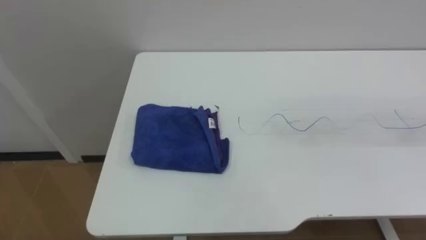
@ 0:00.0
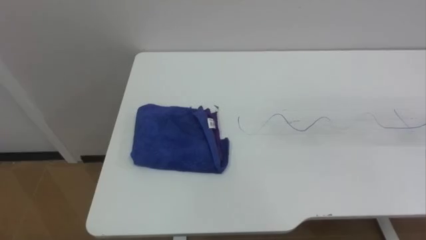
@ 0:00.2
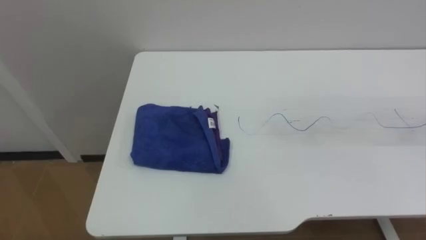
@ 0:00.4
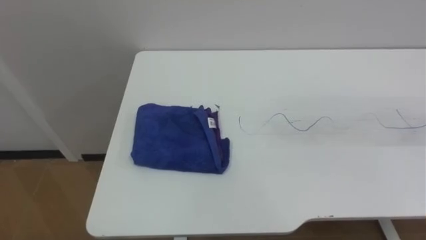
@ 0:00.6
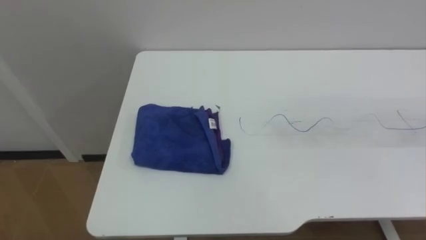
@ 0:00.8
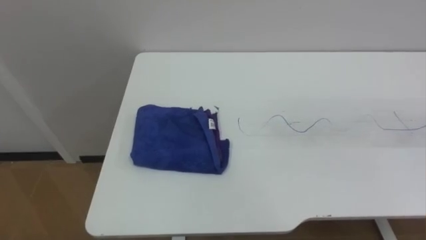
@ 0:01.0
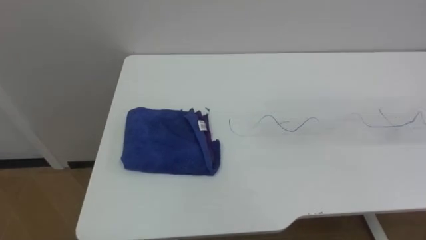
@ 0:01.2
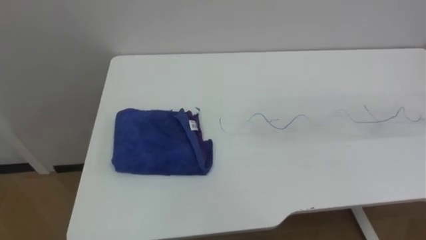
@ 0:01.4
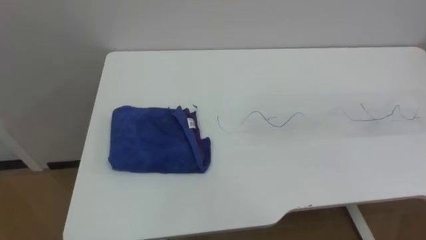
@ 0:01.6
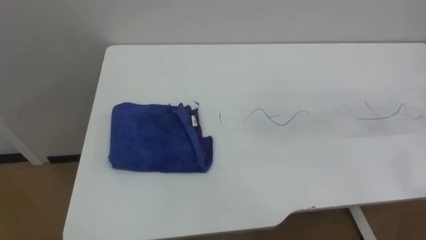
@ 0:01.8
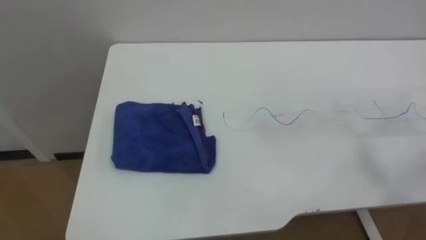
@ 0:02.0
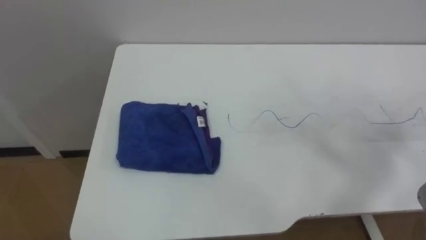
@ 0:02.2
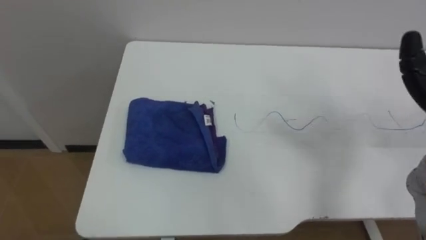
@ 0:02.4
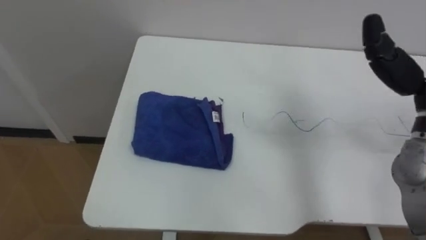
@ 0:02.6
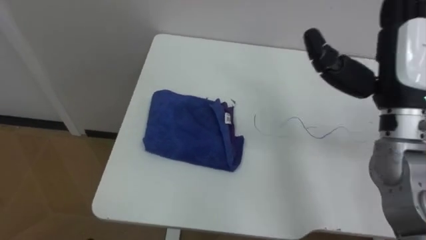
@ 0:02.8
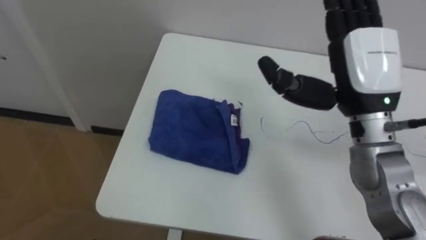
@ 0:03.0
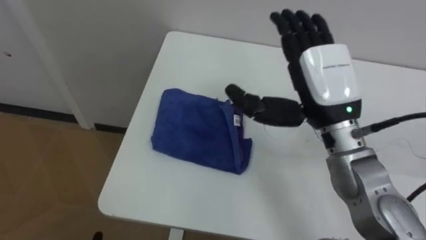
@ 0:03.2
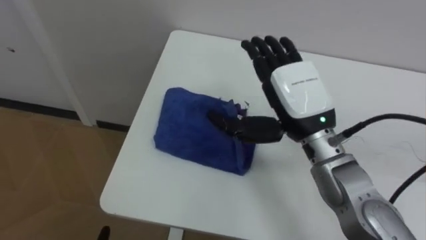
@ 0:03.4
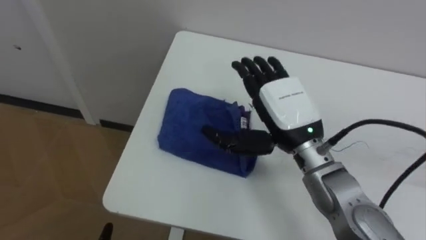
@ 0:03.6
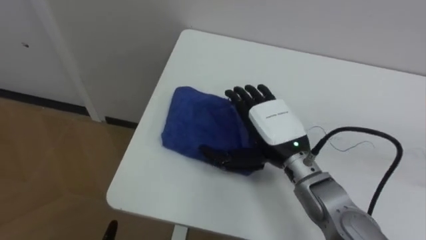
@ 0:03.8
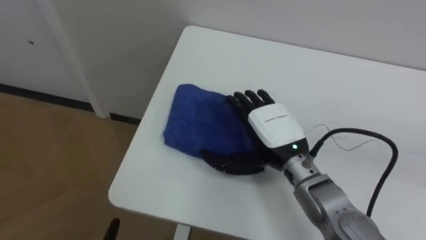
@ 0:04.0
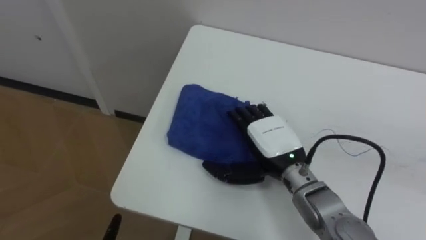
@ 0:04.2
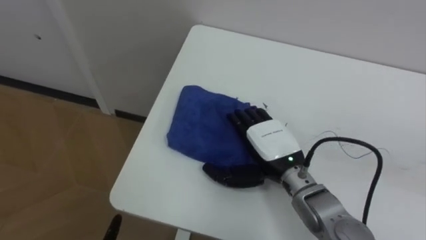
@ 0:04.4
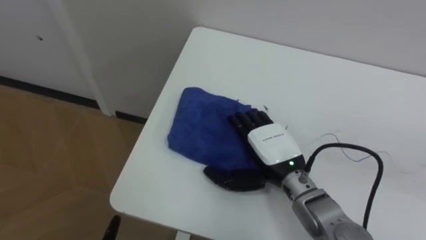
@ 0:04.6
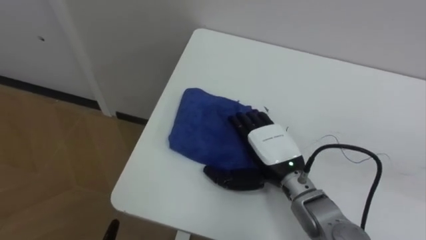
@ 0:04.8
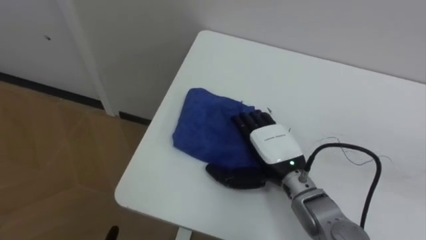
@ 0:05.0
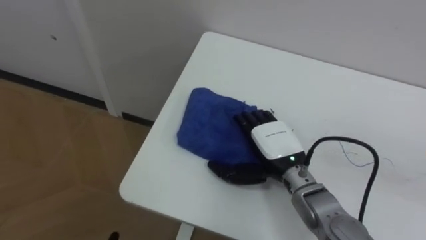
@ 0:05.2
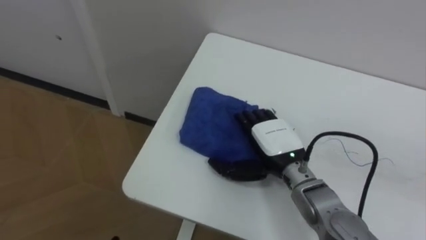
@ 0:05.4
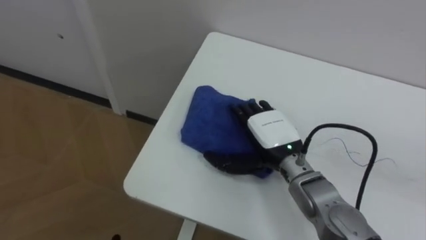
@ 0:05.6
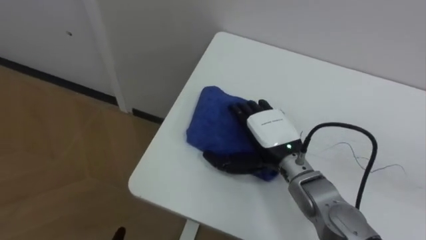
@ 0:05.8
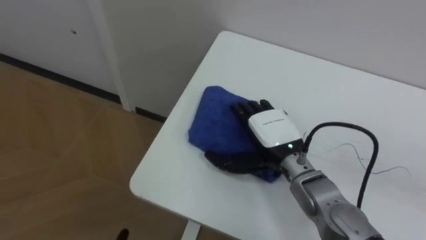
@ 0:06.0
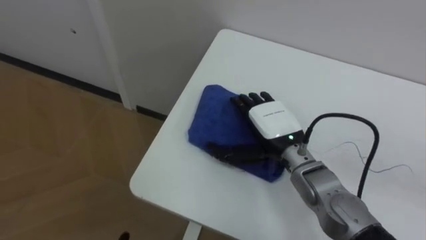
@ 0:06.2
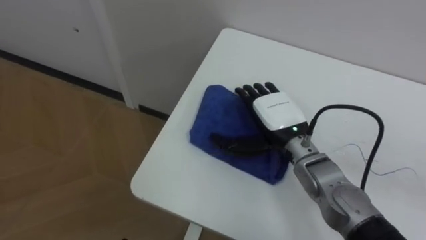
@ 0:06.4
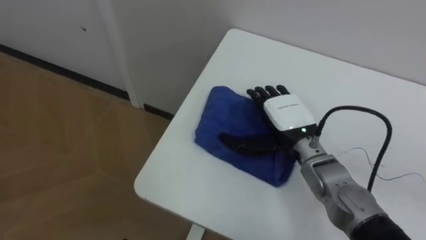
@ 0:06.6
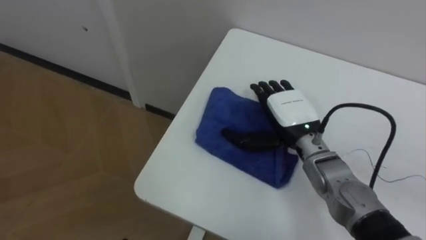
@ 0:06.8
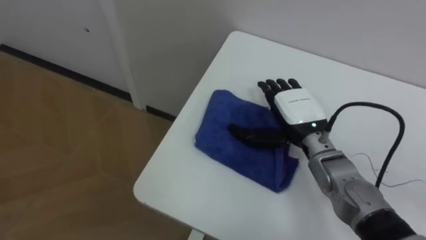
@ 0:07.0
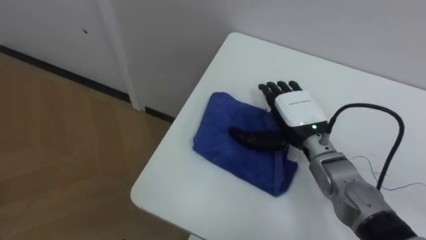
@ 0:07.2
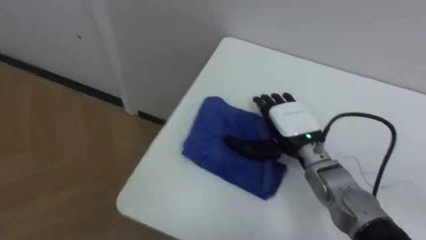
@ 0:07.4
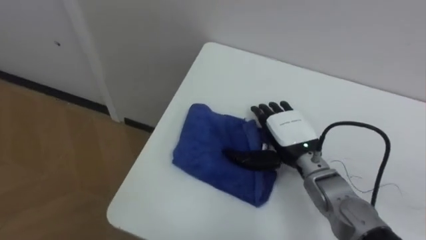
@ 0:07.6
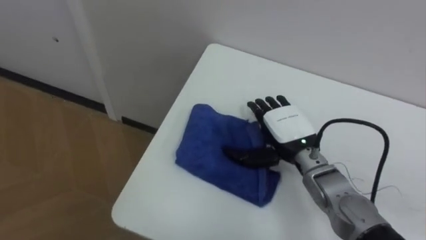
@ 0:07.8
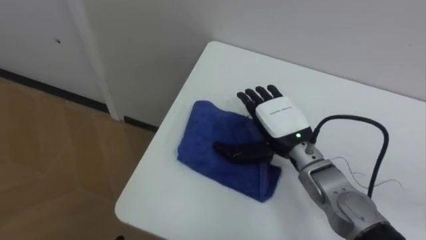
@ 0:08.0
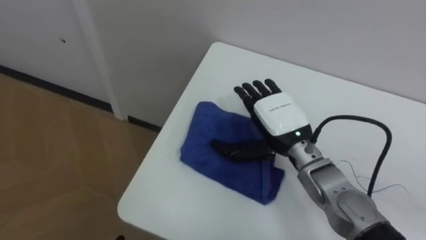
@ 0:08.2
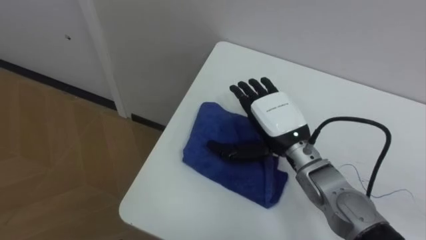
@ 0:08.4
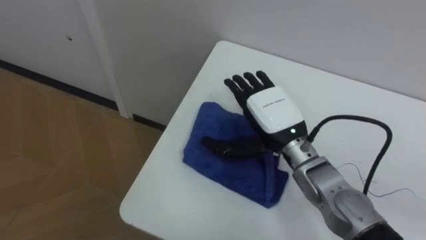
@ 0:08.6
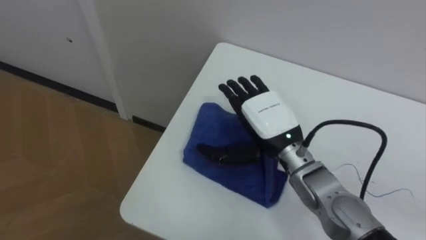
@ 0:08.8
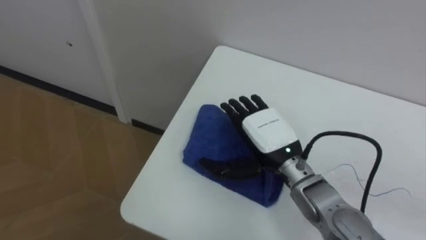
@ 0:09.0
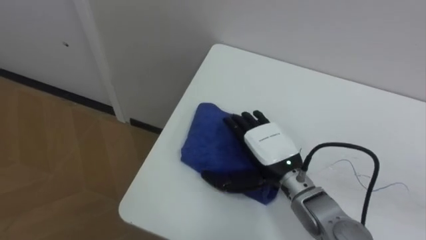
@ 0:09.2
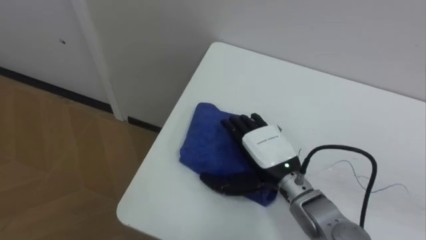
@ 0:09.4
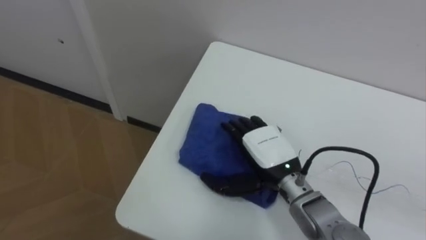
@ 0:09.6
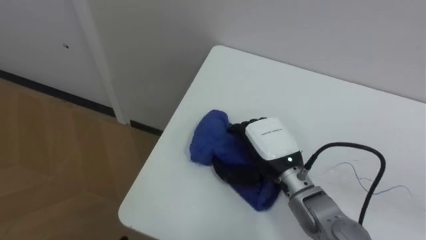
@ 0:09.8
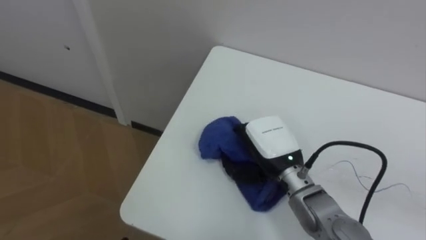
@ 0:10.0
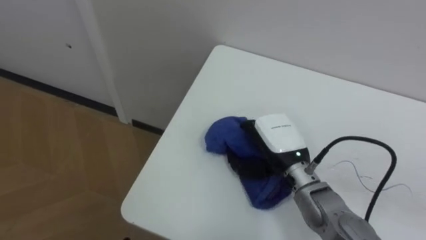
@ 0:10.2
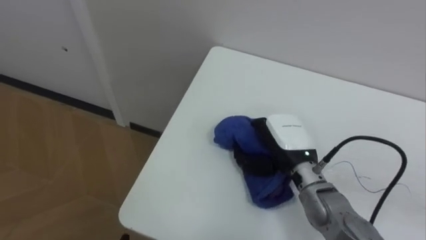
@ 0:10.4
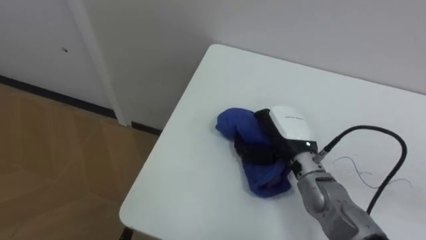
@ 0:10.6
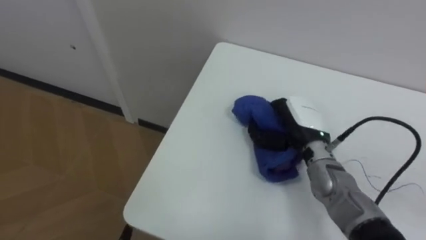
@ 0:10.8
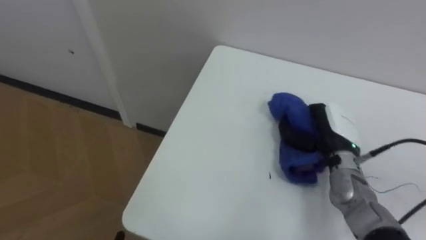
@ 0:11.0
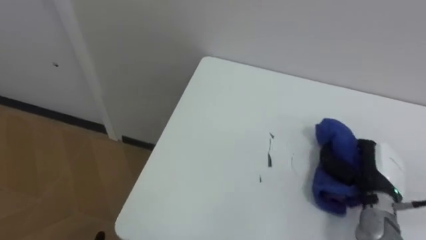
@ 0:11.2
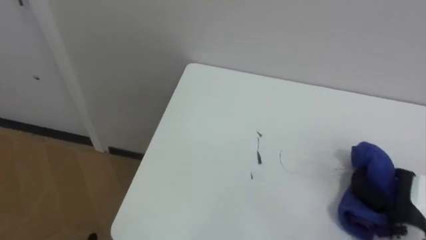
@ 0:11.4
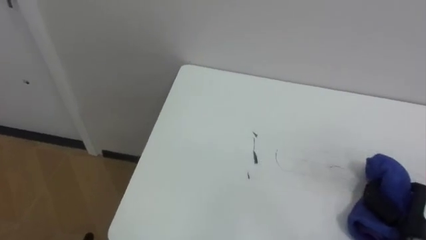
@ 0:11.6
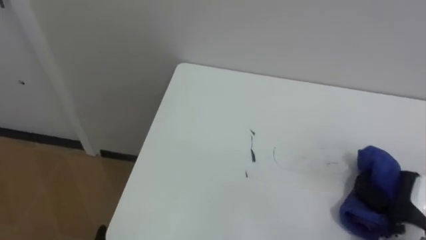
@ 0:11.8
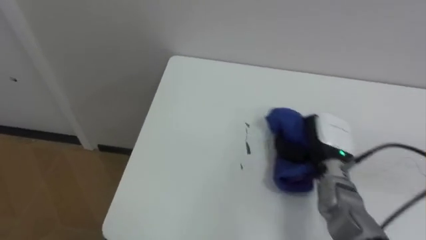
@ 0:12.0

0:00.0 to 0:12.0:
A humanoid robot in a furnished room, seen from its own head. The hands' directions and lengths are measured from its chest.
Task of the whole recording: Wipe the blue pen marks off the table with the rag.
0:03.0 to 0:04.4: The right hand is displaced downward and to the left by roughly 20 cm.
0:07.6 to 0:09.0: The right hand ends up some 5 cm from where it was.
0:09.0 to 0:10.4: The right hand closes up.
0:10.4 to 0:12.0: The right hand moves approximately 25 cm to the right and comes back.

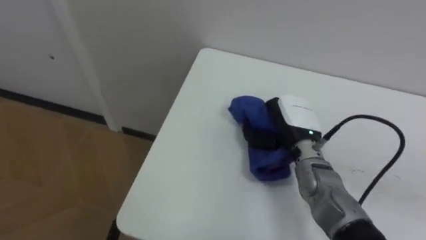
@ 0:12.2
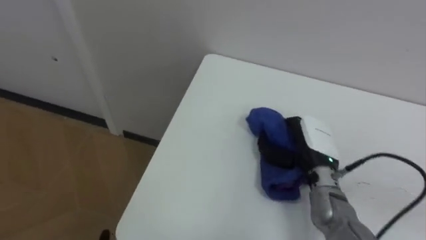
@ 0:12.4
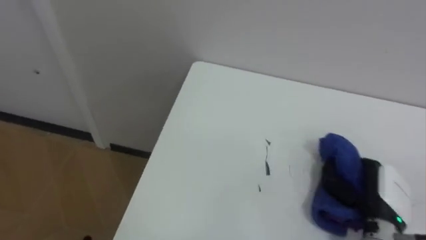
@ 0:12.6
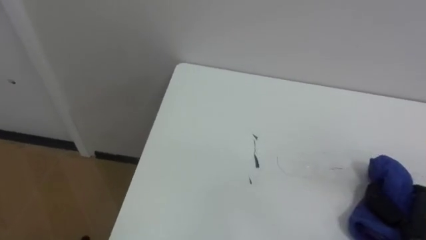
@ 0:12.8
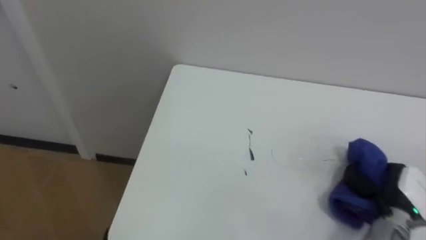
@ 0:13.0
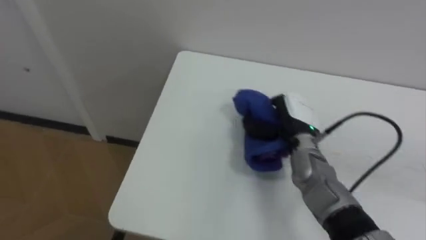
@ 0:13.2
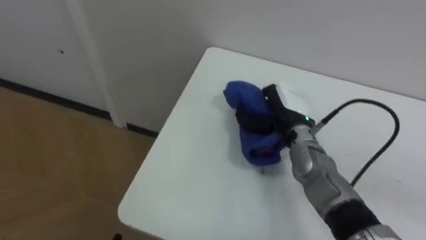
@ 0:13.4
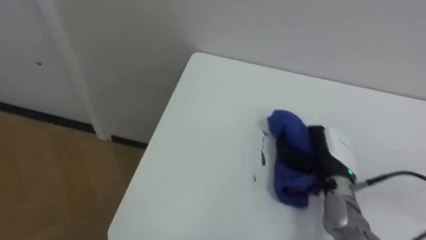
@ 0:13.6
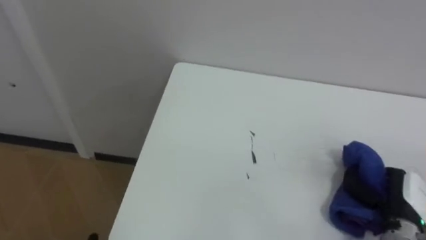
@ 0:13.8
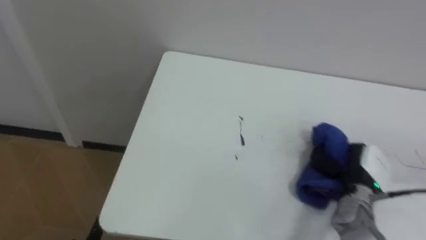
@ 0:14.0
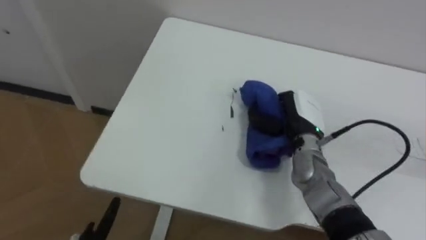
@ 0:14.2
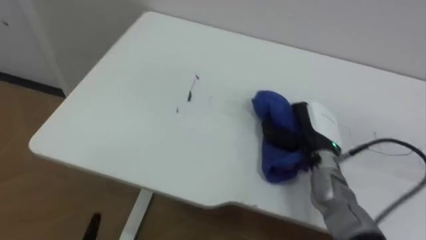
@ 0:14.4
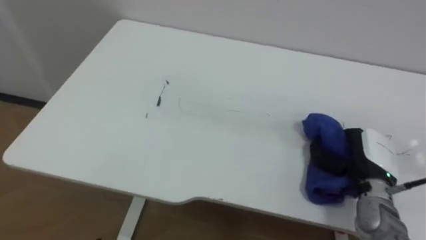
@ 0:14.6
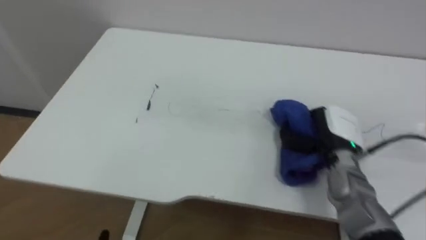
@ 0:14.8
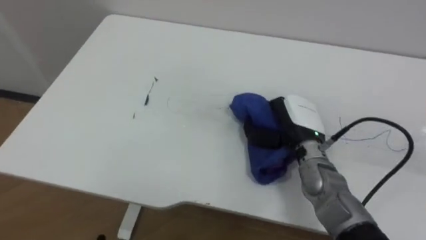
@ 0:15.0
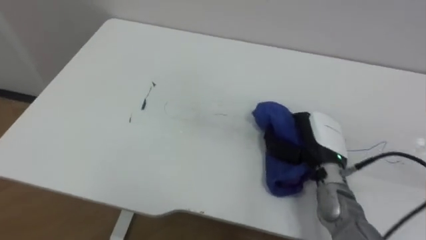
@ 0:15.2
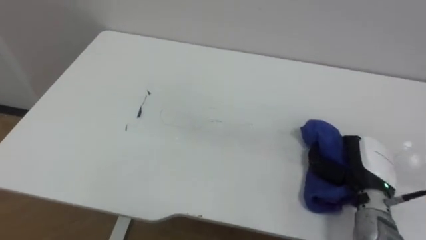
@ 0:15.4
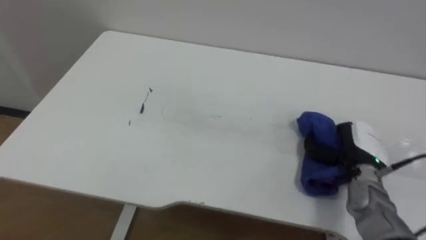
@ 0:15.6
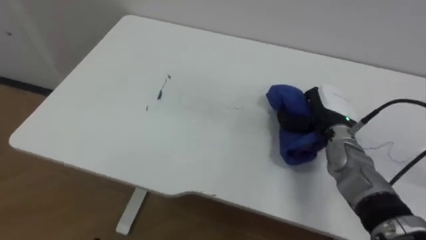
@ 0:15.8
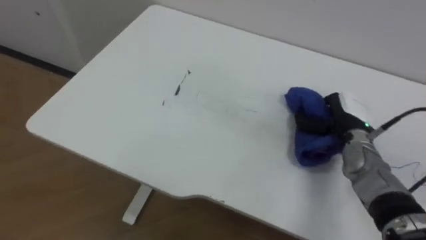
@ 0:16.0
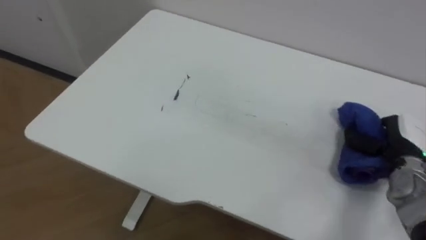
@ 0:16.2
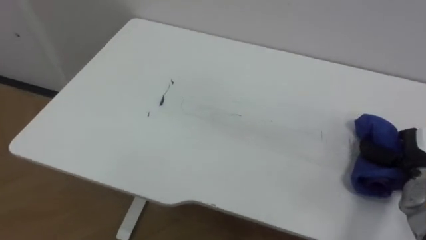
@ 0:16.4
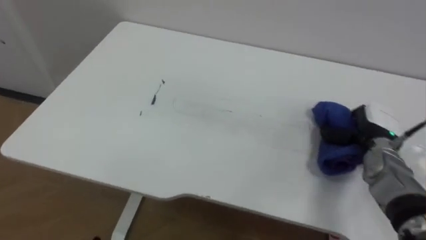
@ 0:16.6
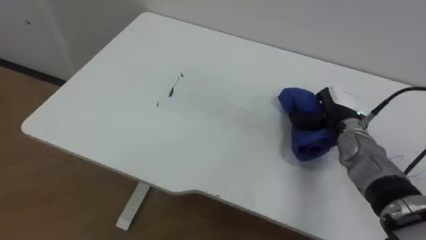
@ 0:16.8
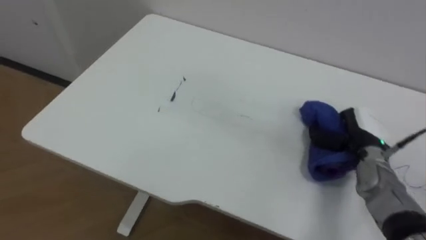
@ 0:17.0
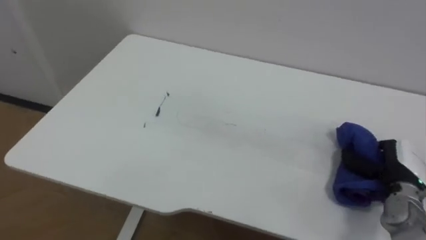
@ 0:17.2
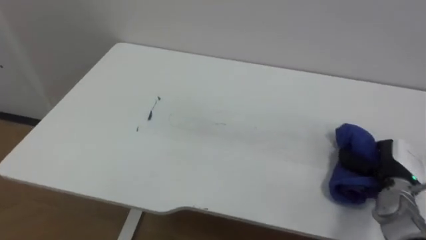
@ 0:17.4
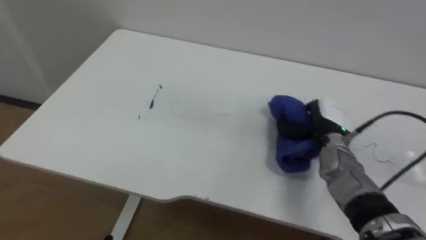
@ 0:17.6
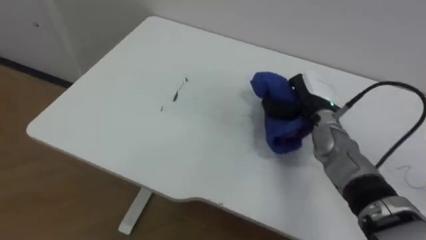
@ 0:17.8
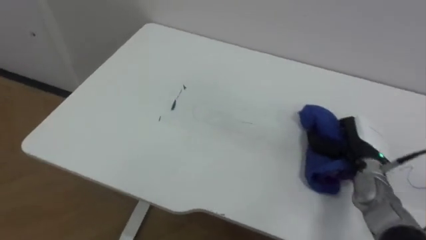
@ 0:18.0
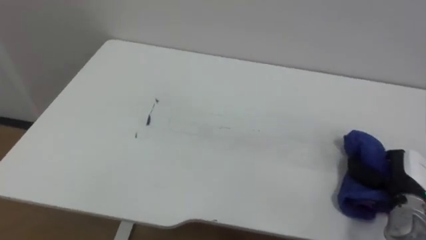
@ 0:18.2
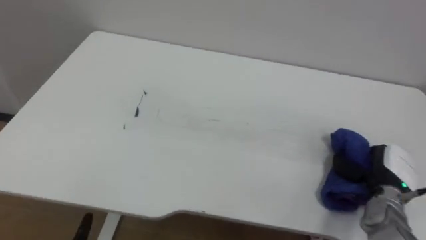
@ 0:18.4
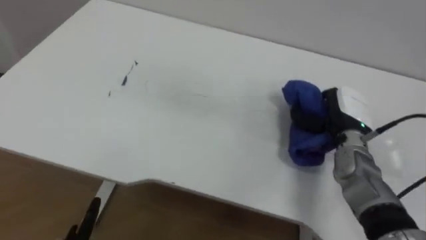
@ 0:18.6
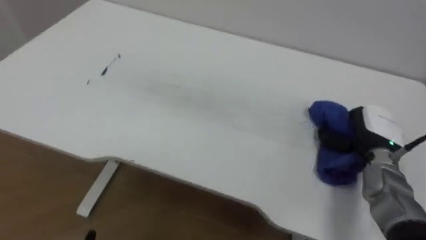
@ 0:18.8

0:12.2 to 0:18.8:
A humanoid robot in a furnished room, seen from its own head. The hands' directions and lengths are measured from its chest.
Task of the whole recording: Wipe the blue pen marks off the table with the rag.
0:12.2 to 0:13.8: The right hand swings left and right, some 25 cm each way, with 2 reversals.
0:13.8 to 0:15.4: The right hand moves left and right over approximately 20 cm, changing direction 3 times.
0:15.4 to 0:17.2: The right hand goes left and right, about 15 cm each way, reversing 3 times.
0:17.2 to 0:18.8: The right hand goes left and right, about 15 cm each way, reversing 3 times.
